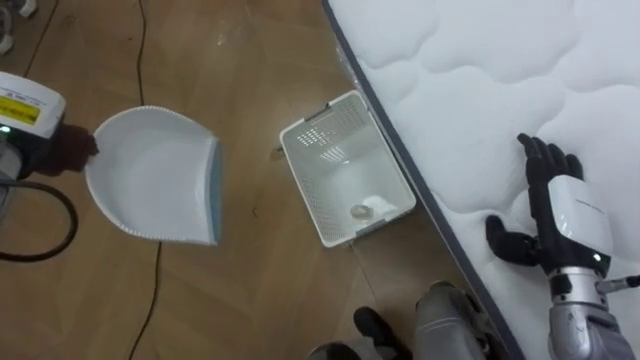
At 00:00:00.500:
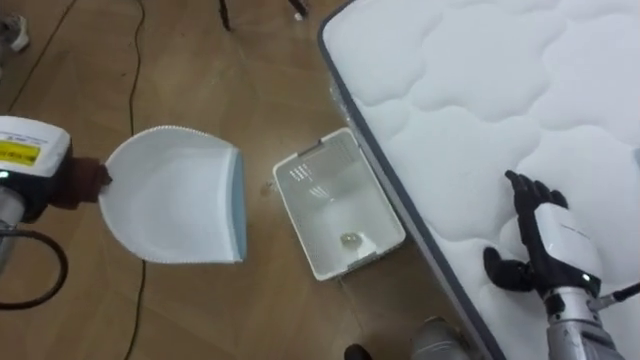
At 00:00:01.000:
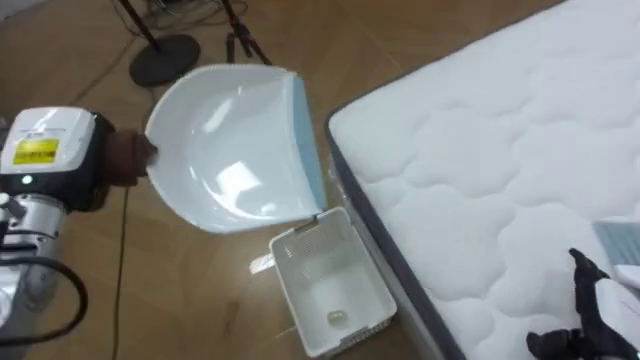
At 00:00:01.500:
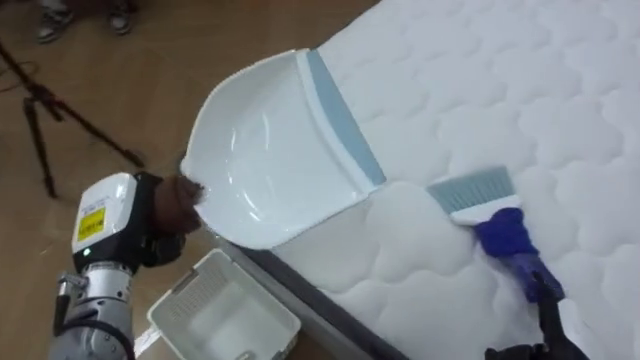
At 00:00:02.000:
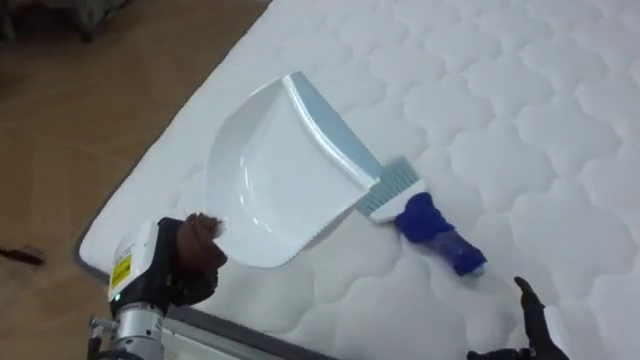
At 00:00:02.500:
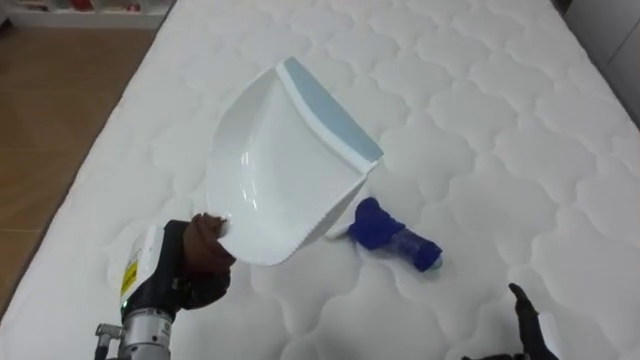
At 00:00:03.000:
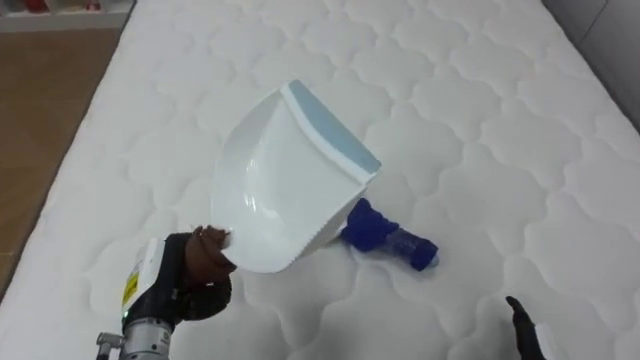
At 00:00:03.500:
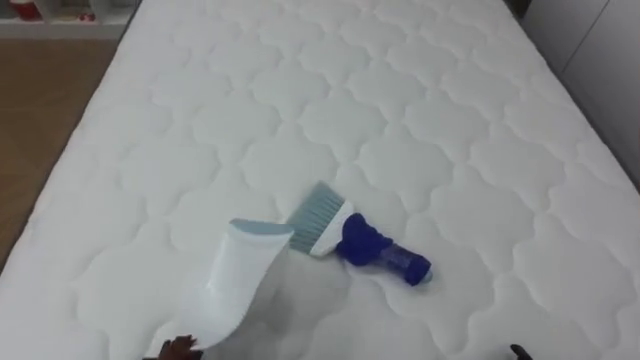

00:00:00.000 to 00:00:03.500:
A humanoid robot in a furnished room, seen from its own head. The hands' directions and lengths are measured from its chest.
Task of the whole recording: Pick up the brush on your right and the dustpan on your left. Use the brush to sweep the crumpled paper on the bed into the dustpan, then turn left and empty it into the basket.
00:00:00.000 to 00:00:02.000: The robot rotates roughly 70 degrees to its right. The left hand shifts some 20 cm backward, to the right and downward.
00:00:02.000 to 00:00:03.500: The robot's body swings roughly 25 degrees to its right.

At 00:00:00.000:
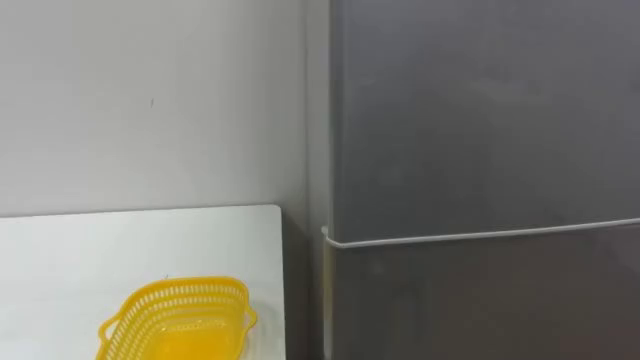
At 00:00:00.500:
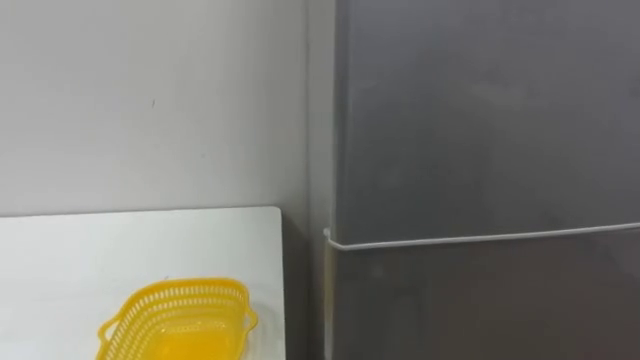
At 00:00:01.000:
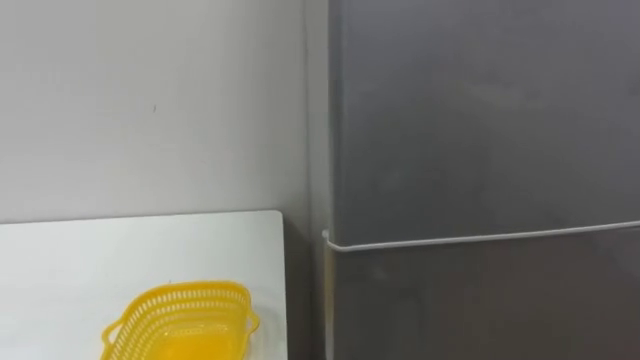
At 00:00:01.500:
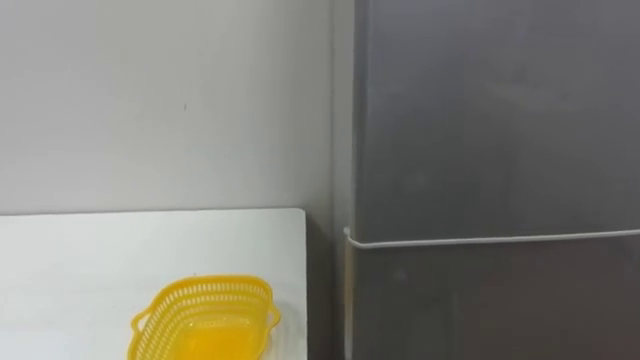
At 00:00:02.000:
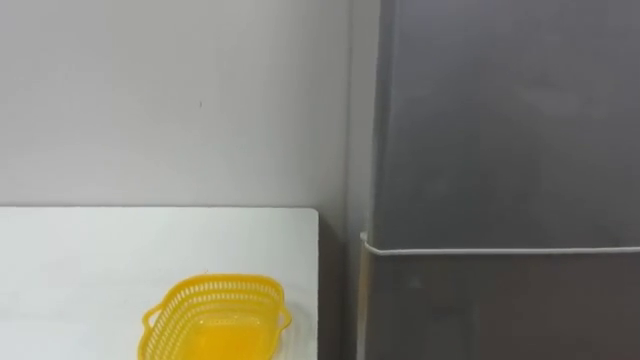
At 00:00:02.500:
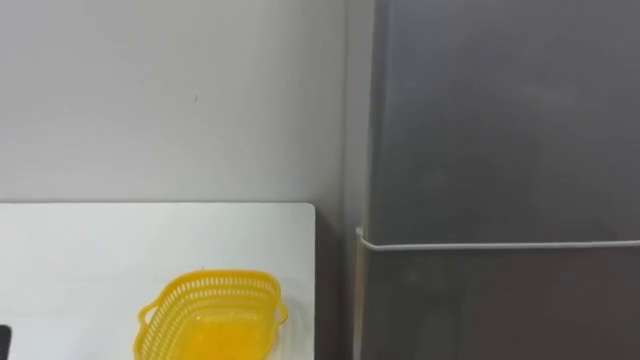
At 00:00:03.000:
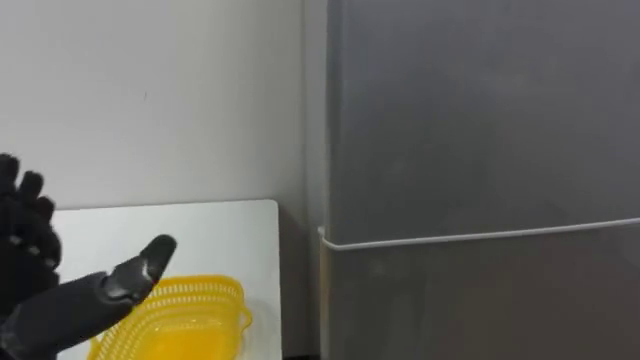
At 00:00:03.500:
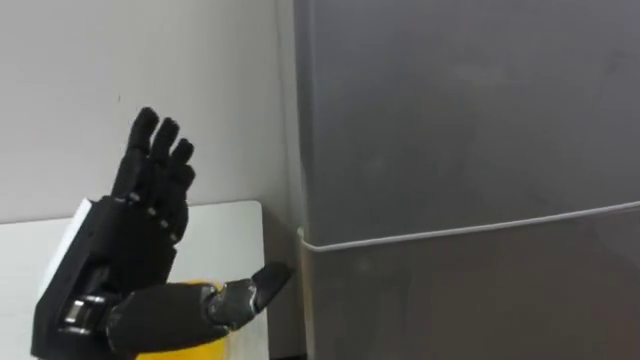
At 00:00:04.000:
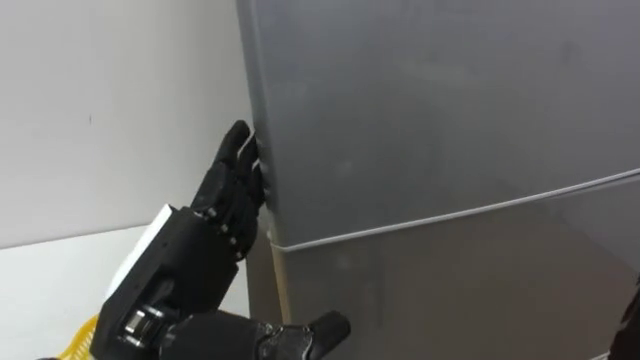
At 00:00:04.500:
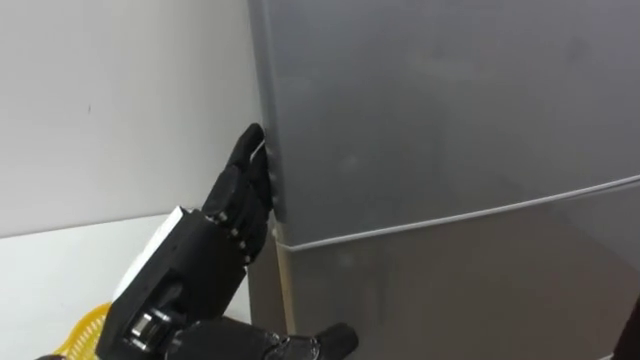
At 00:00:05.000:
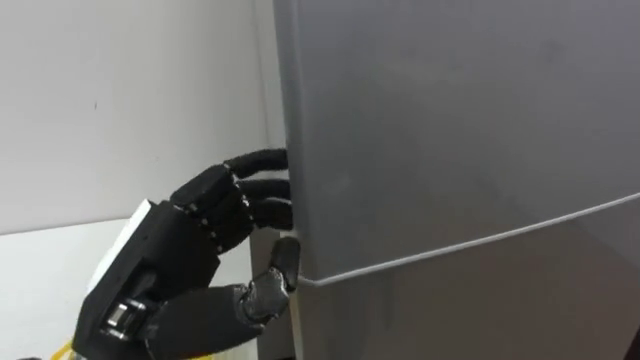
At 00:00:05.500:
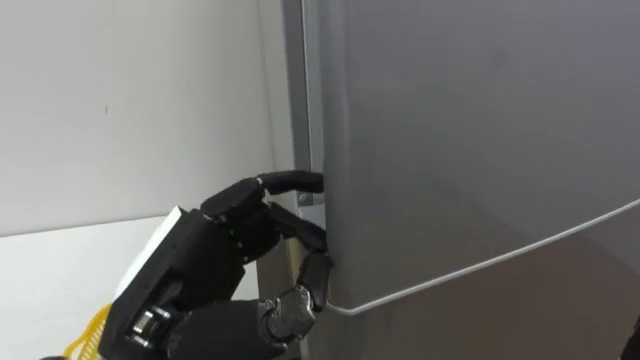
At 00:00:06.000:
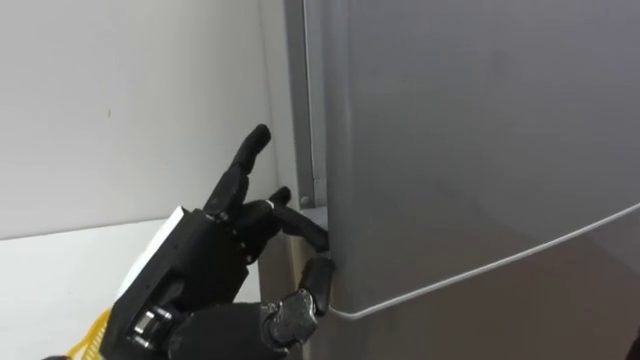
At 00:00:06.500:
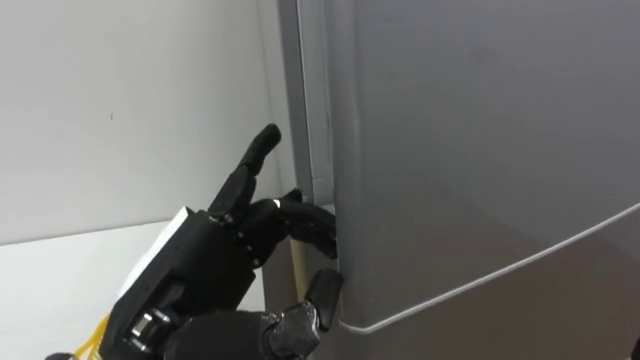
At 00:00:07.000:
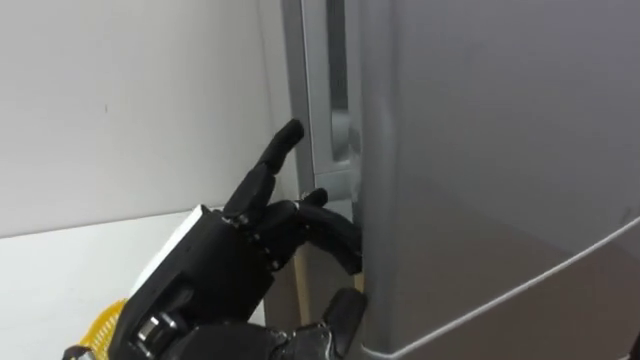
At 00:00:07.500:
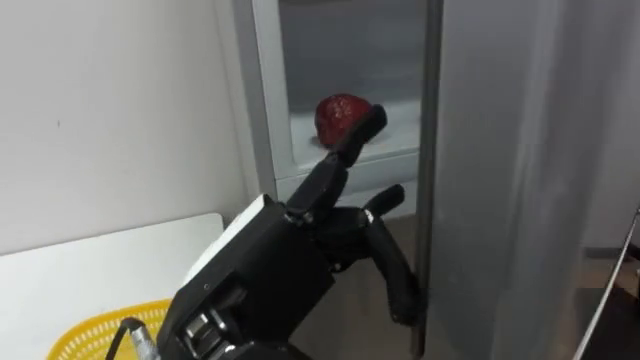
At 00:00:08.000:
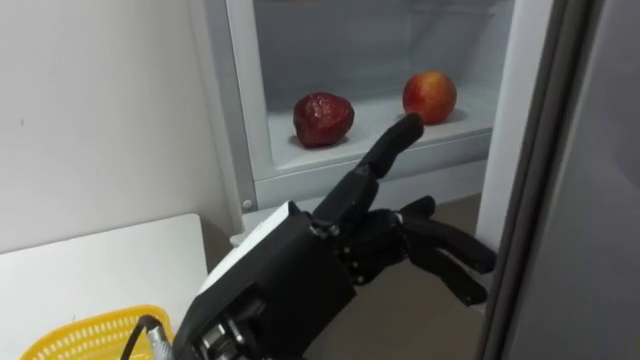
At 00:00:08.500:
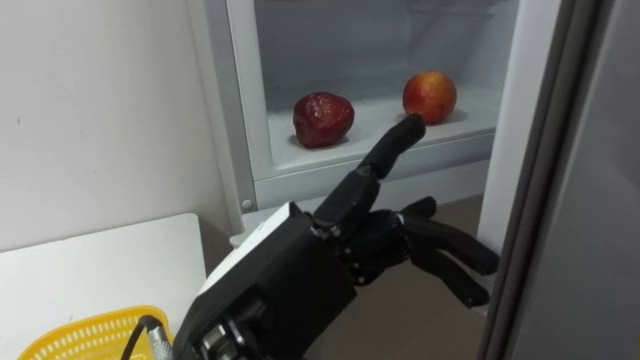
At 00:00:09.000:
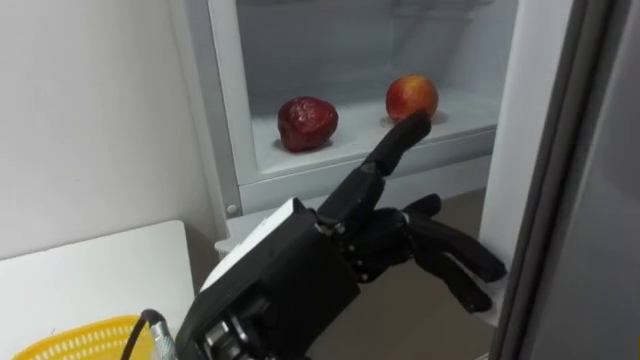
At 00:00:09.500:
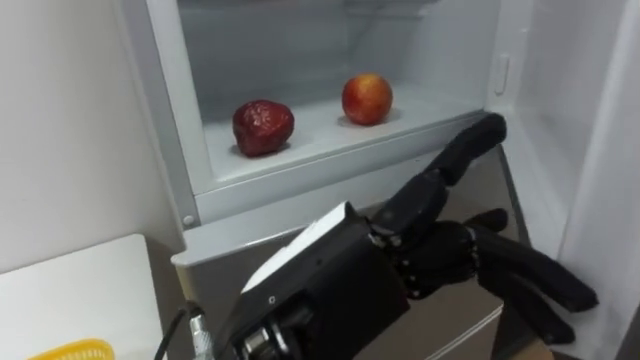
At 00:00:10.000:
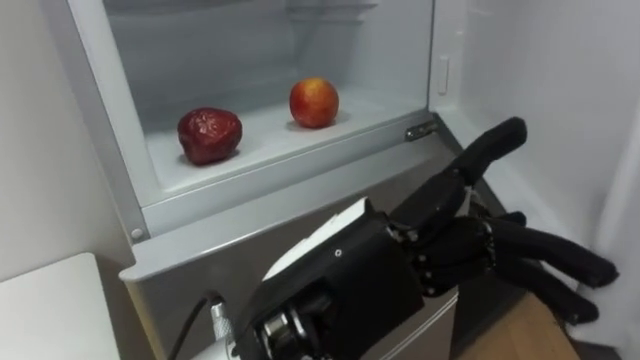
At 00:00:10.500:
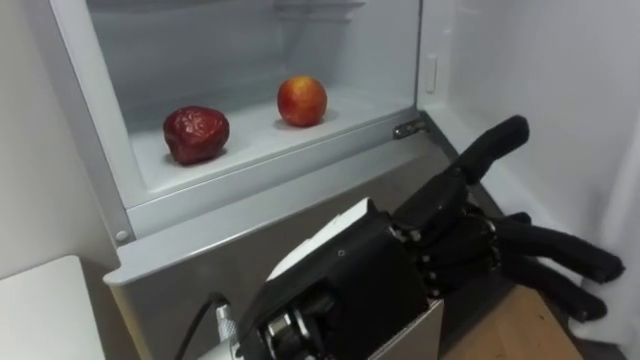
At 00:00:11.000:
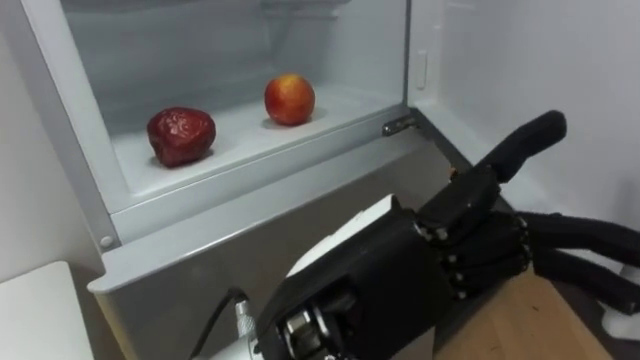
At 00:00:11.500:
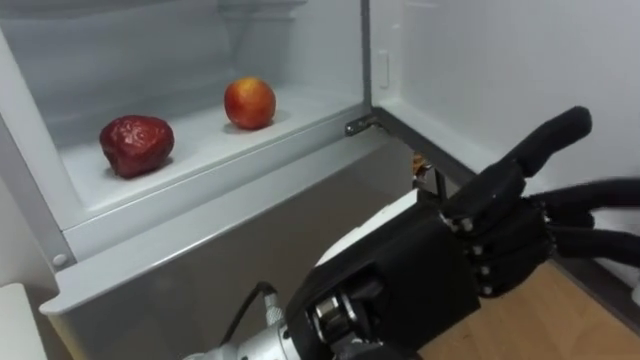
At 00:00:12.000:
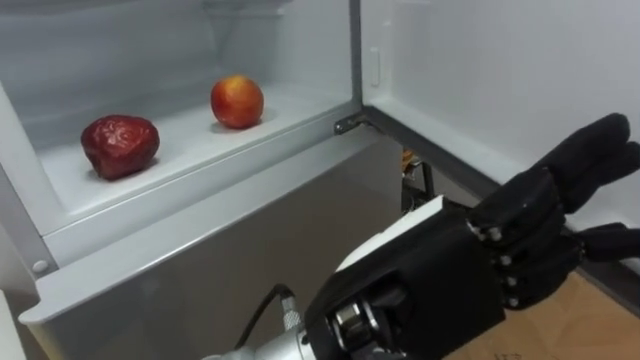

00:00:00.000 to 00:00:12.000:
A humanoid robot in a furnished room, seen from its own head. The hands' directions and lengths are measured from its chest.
Task of the whole recording: Open the refrigerator door, take out the apple and the pomegranate, place them in the fruit basket on the left, and close the refrigerator door.
00:00:04.000 to 00:00:06.000: The left hand closes, then opens again.
00:00:06.000 to 00:00:08.000: The left hand moves to the right, roughly 5 cm.

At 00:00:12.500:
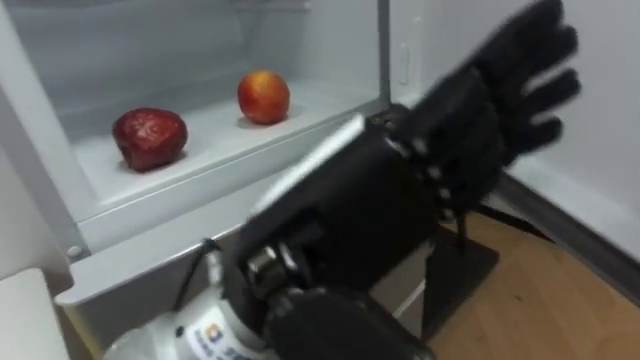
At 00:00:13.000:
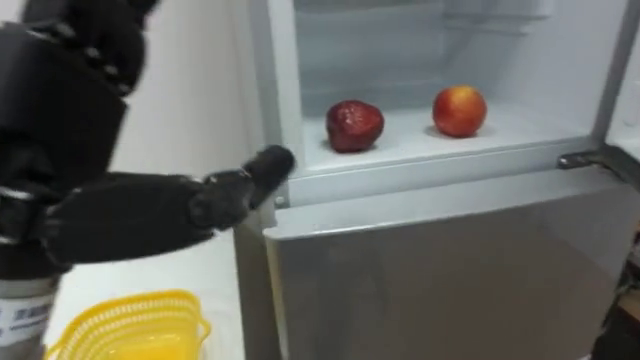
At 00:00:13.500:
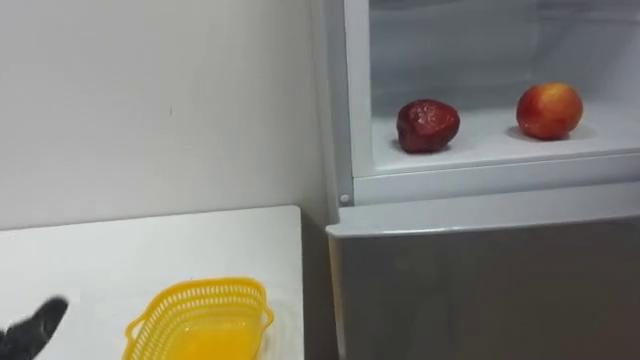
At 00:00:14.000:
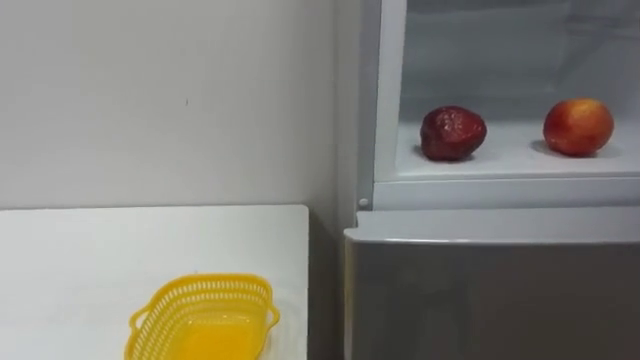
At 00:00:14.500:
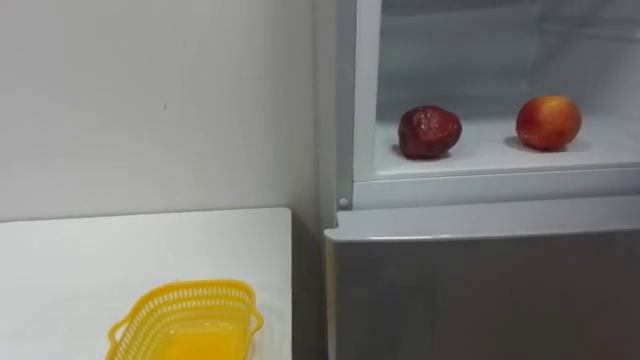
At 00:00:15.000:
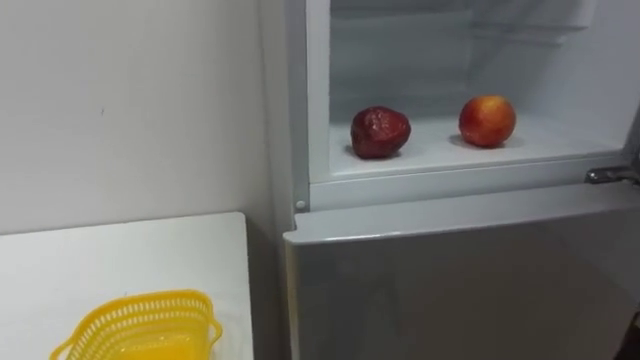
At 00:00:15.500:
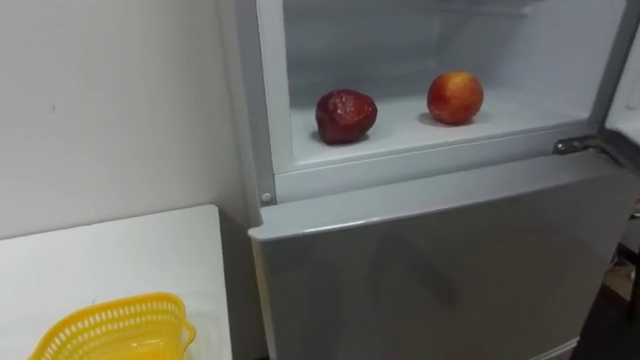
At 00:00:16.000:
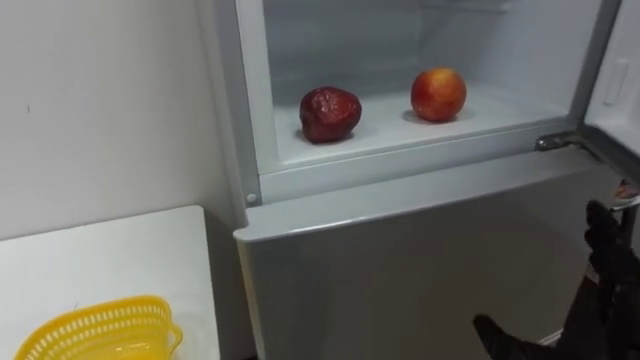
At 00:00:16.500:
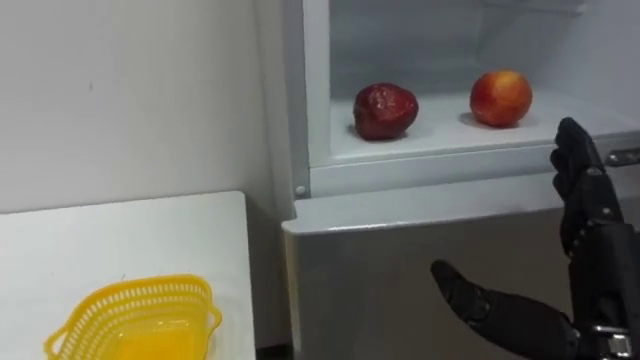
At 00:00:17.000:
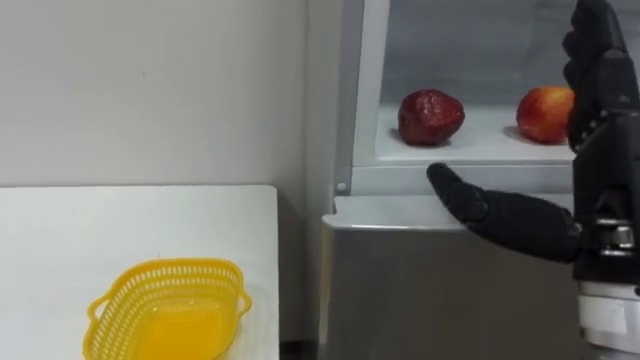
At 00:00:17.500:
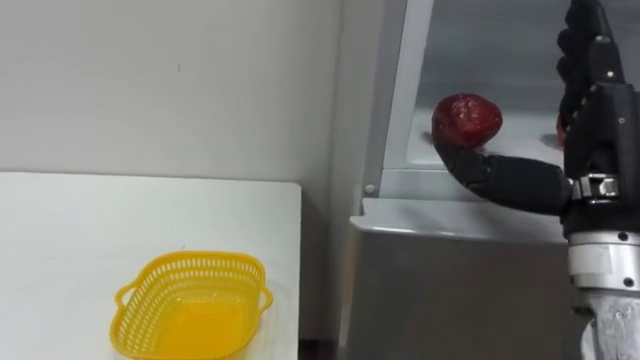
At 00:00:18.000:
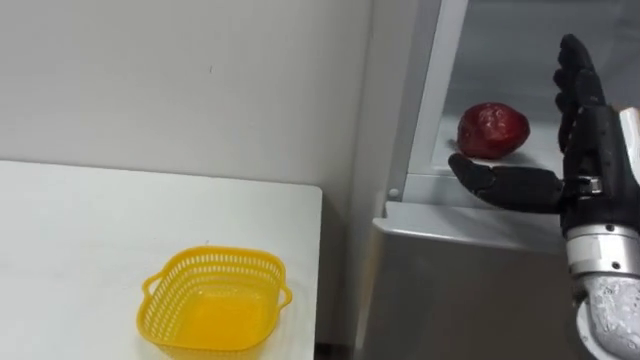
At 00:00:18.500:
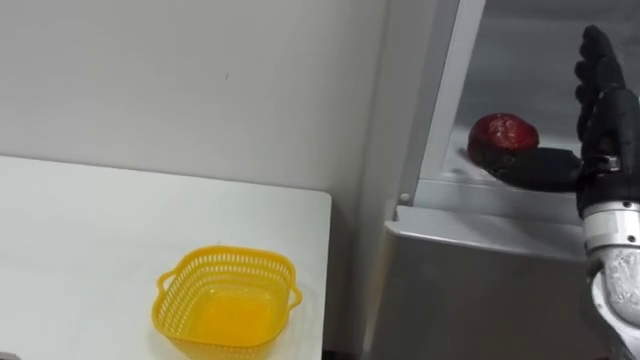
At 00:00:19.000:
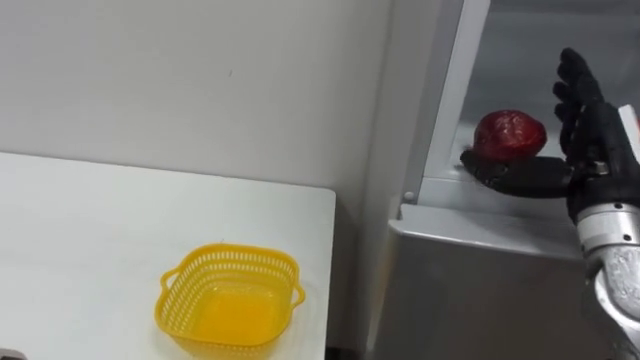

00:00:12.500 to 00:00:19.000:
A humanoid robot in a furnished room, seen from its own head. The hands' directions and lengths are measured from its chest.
Task of the whole recording: Open the refrigerator door, take out the apple and the pomegranate, place them in the fruit basket on the left, and close the refrigerator door.
00:00:17.000 to 00:00:19.000: The right hand goes about 15 cm forward and to the right.
